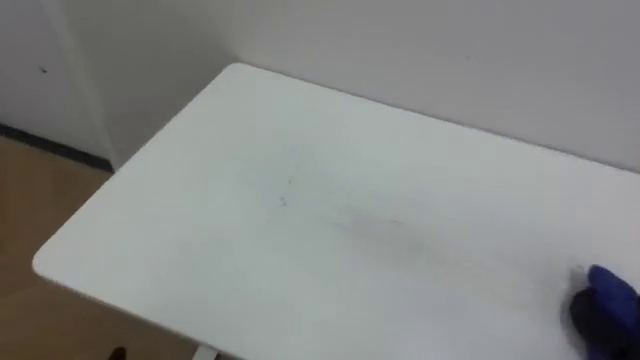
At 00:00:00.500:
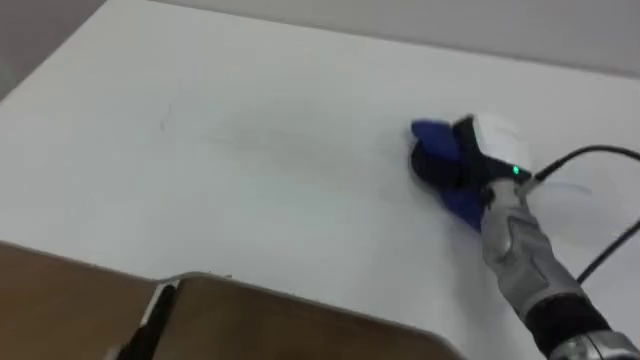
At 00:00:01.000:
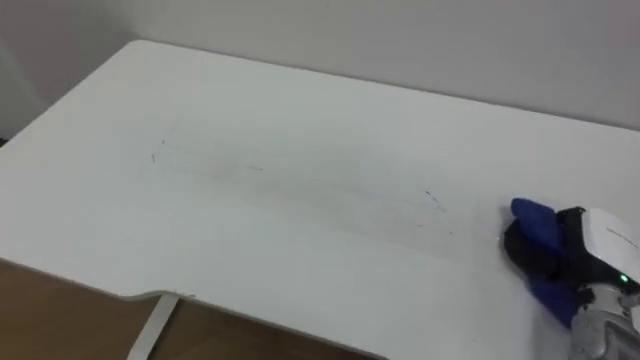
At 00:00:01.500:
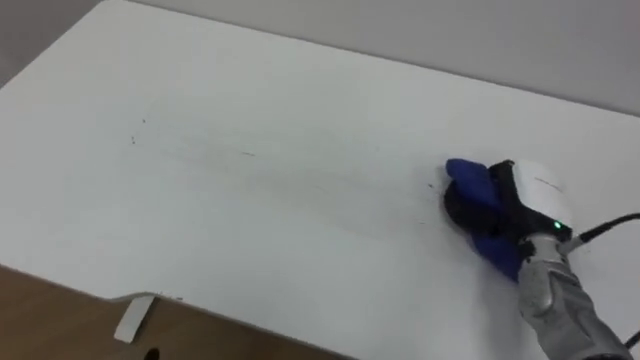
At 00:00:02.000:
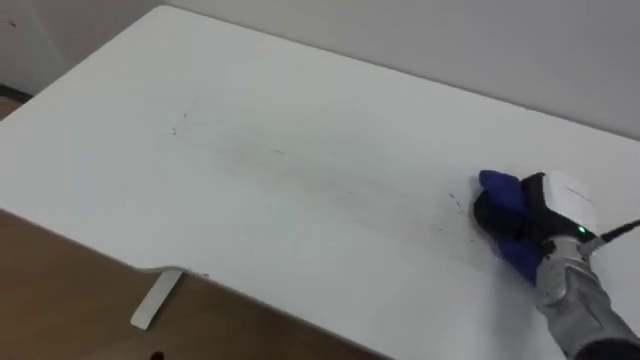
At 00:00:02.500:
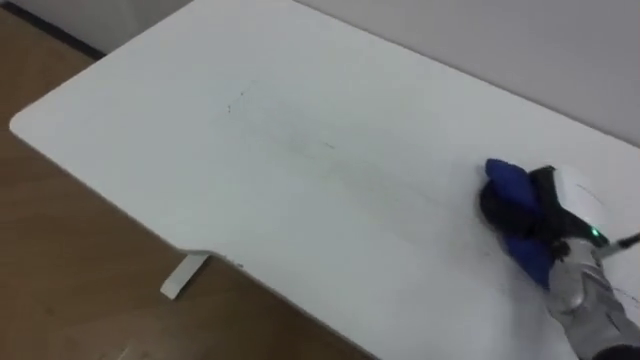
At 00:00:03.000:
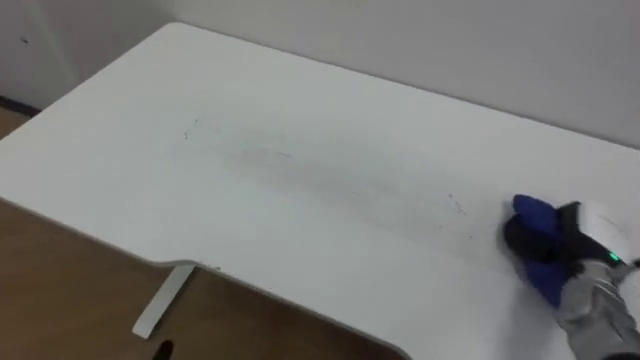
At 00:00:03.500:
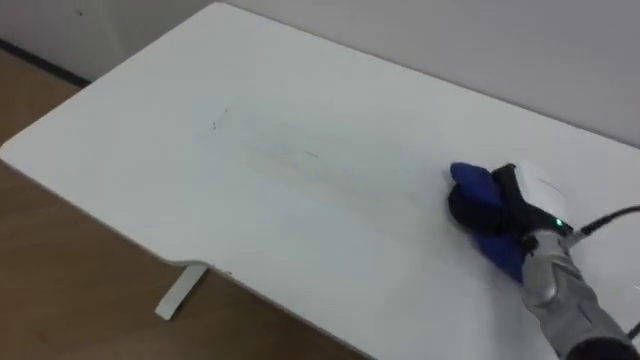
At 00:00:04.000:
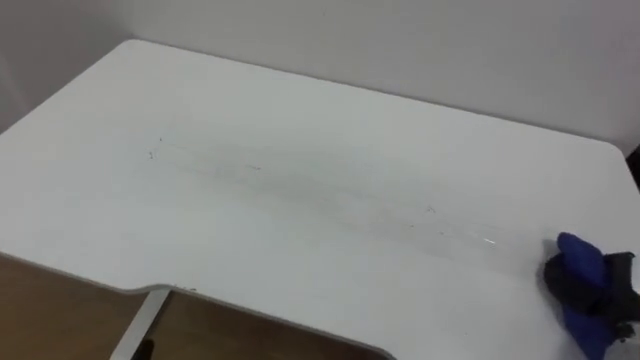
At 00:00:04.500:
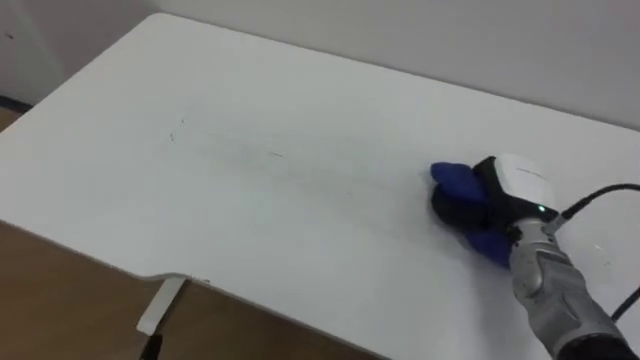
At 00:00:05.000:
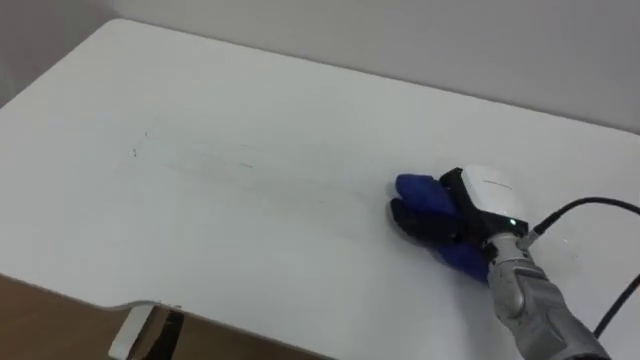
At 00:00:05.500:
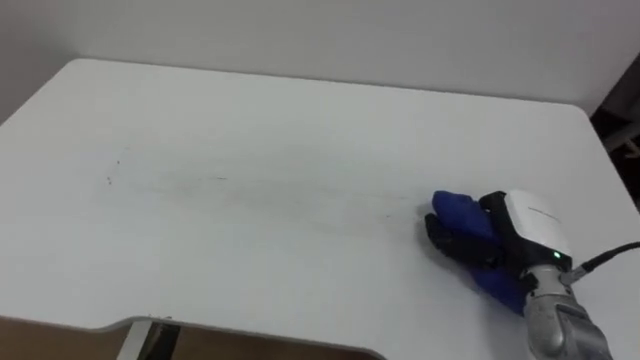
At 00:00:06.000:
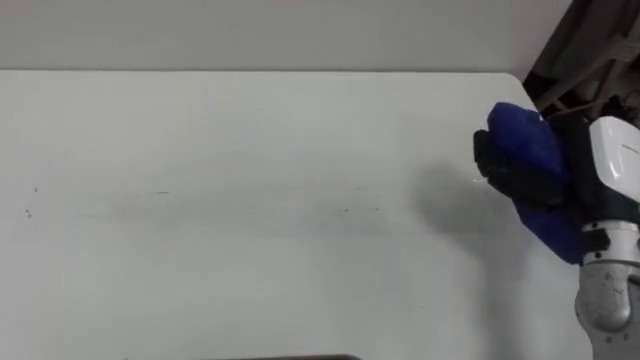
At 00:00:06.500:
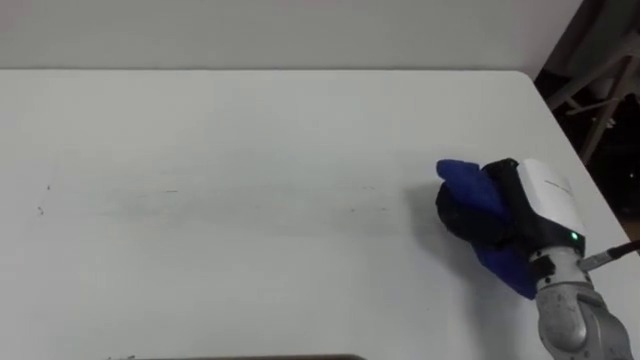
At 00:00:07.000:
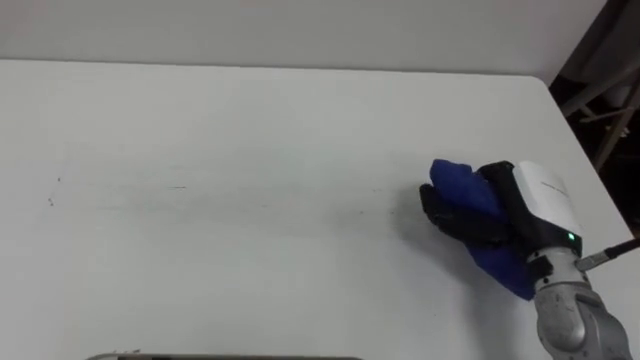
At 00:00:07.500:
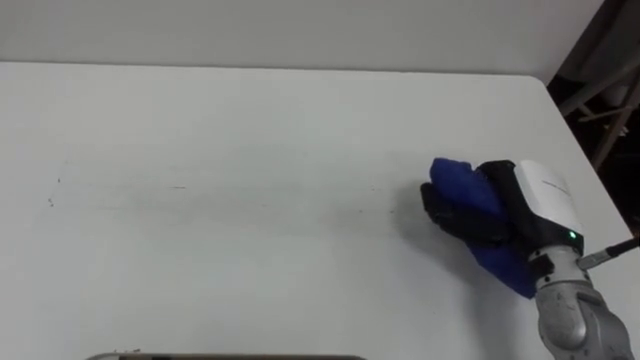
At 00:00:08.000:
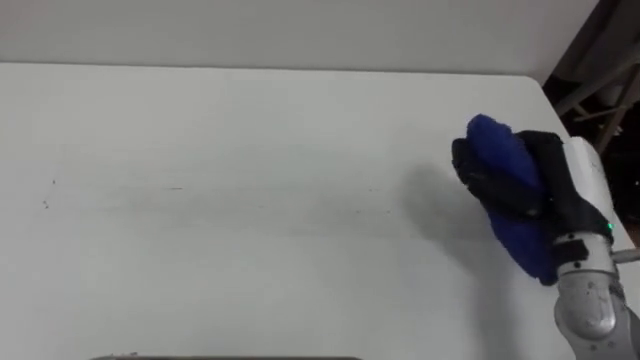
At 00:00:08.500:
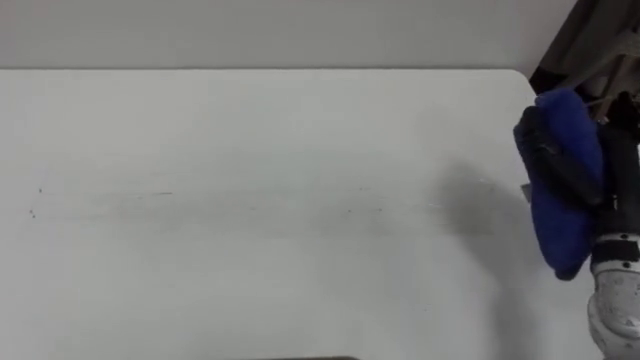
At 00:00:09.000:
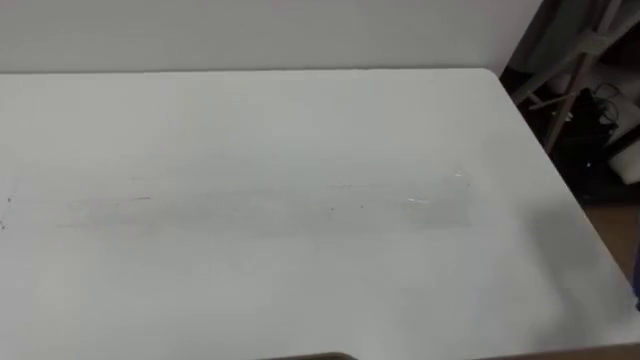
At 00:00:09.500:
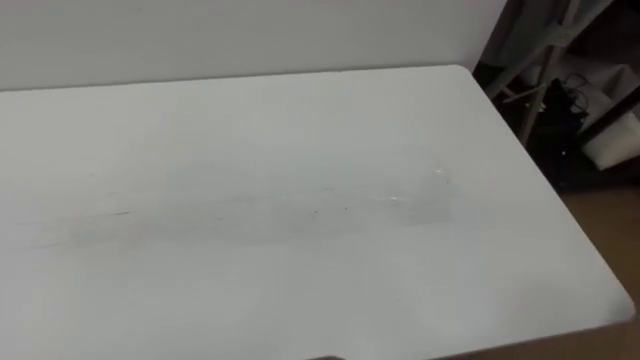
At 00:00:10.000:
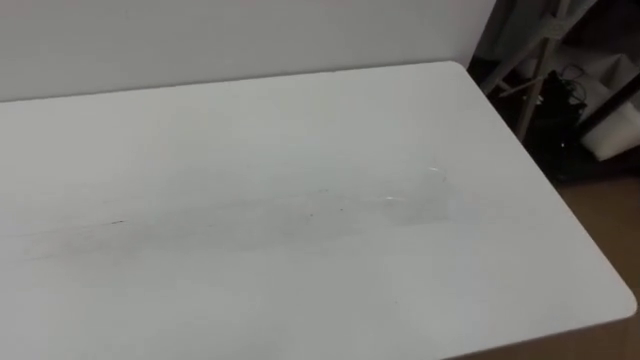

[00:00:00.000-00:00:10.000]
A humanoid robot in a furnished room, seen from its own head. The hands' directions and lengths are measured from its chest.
Task of the whole recording: Wipe the blue pen marks off the table with the rag.
00:00:02.000 to 00:00:04.000: The right hand heads backward and to the right, covering some 15 cm.
00:00:04.000 to 00:00:06.000: The right hand is displaced upward, to the left and forward by about 20 cm.

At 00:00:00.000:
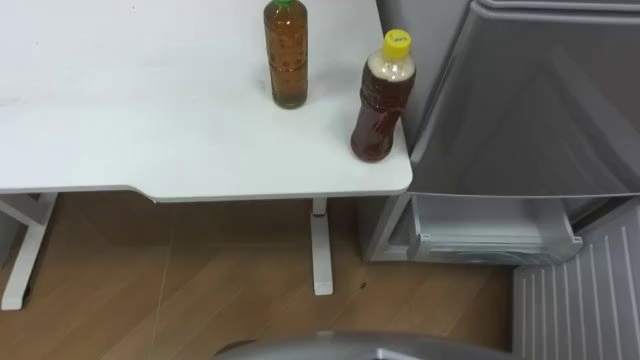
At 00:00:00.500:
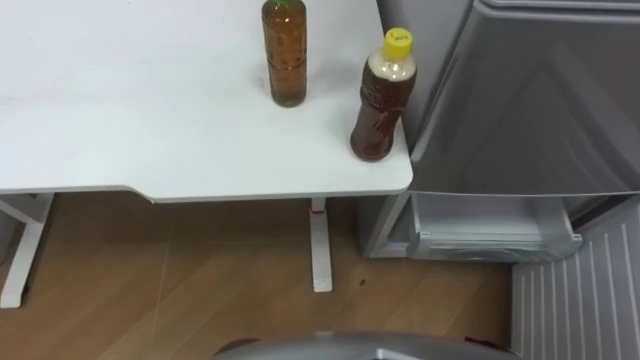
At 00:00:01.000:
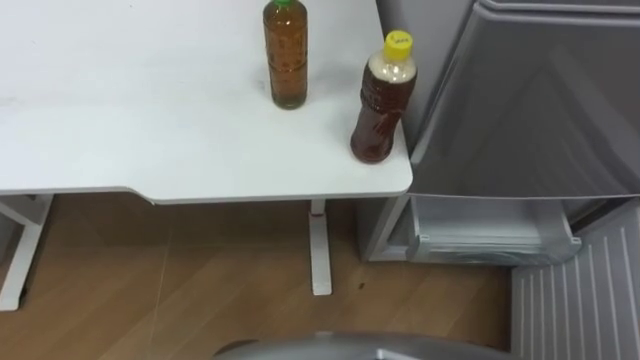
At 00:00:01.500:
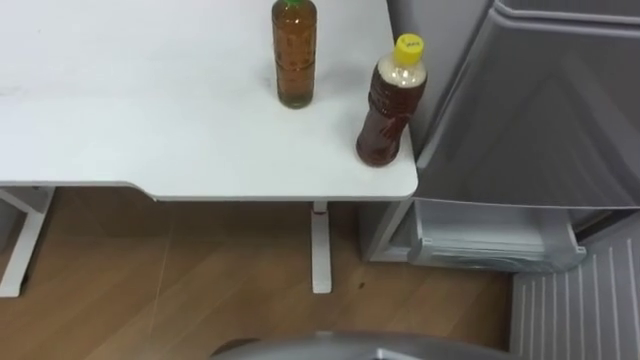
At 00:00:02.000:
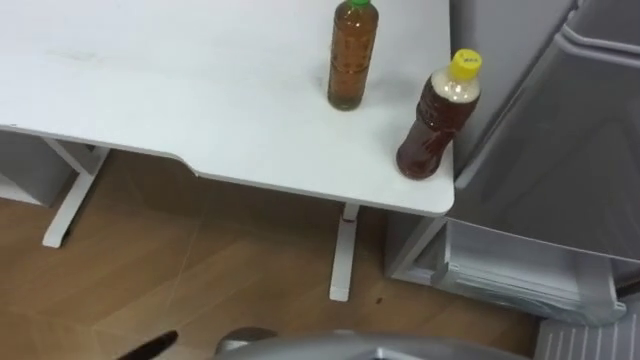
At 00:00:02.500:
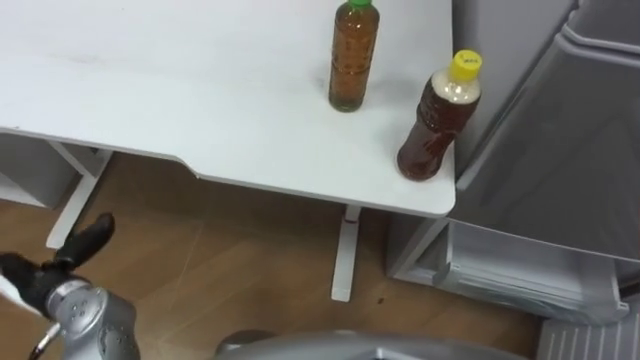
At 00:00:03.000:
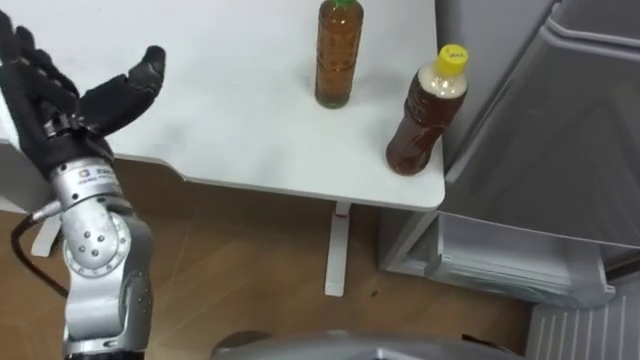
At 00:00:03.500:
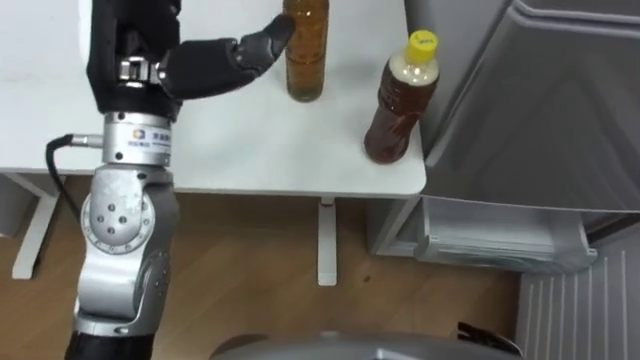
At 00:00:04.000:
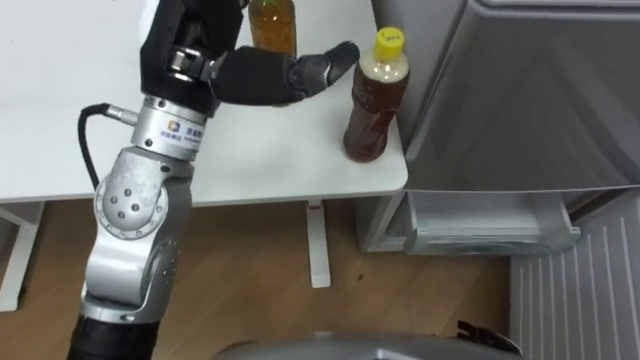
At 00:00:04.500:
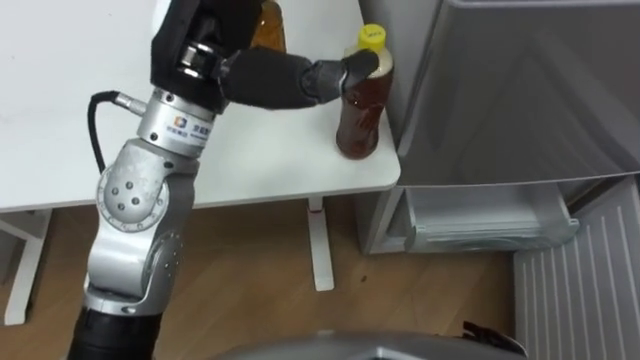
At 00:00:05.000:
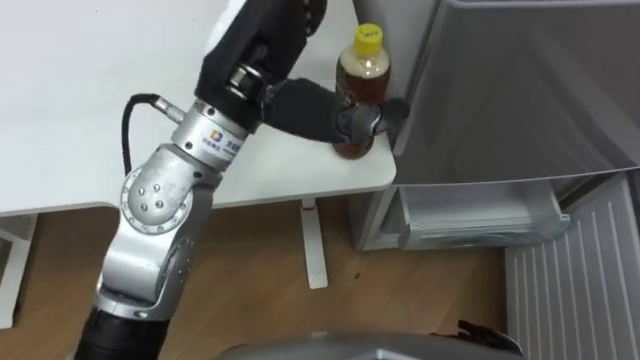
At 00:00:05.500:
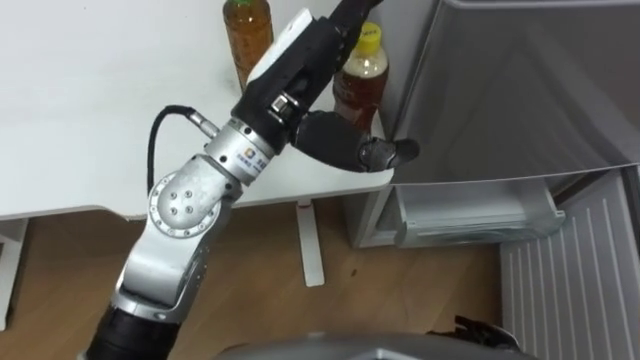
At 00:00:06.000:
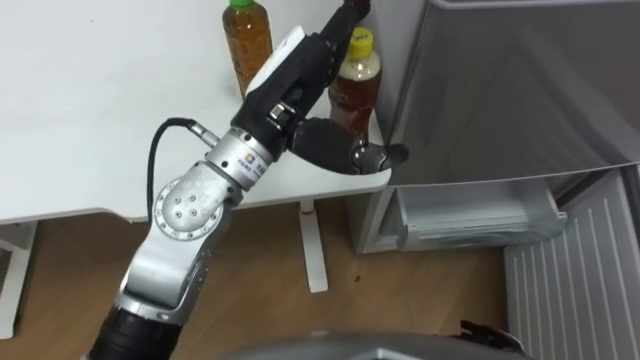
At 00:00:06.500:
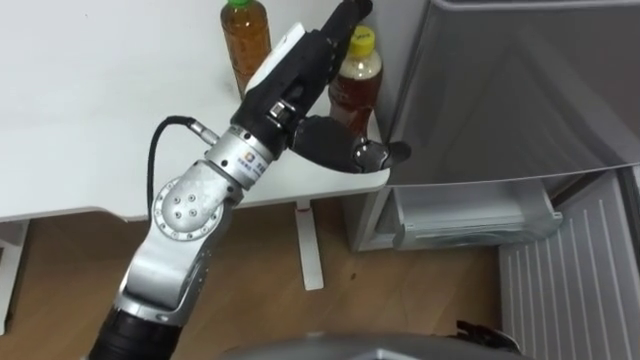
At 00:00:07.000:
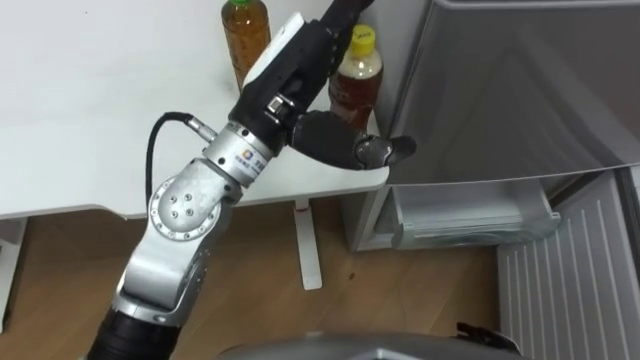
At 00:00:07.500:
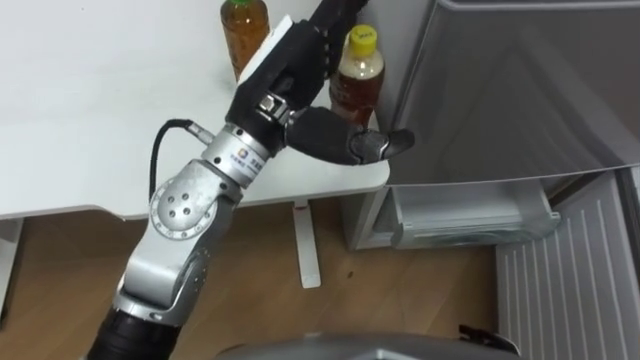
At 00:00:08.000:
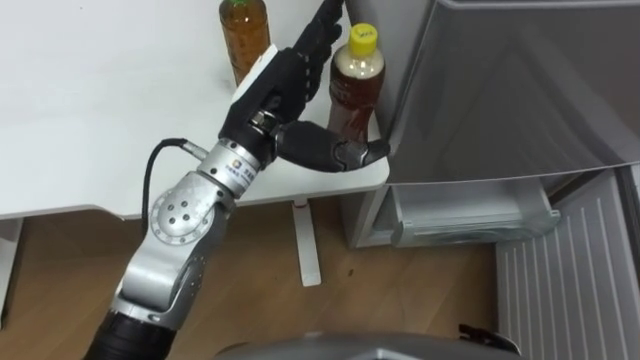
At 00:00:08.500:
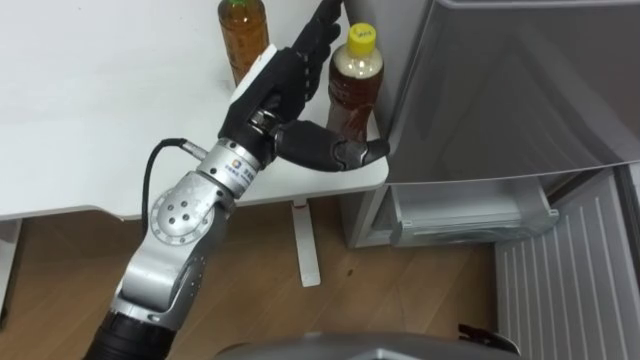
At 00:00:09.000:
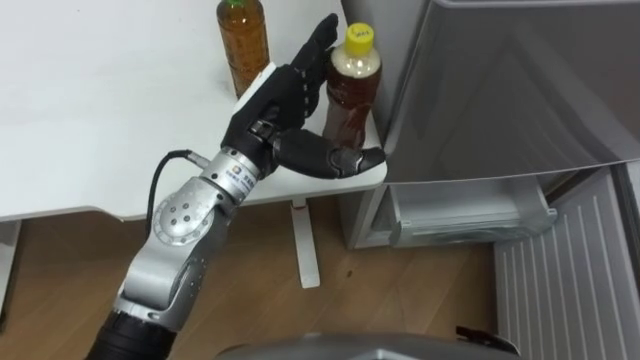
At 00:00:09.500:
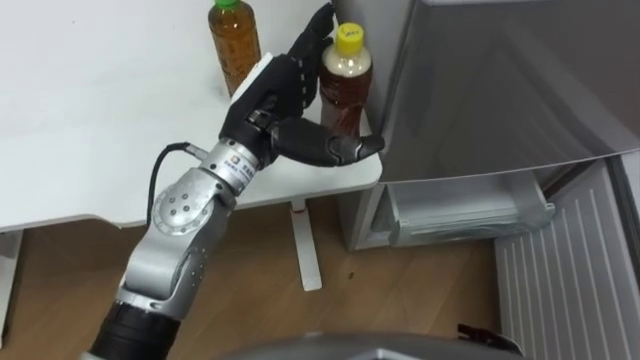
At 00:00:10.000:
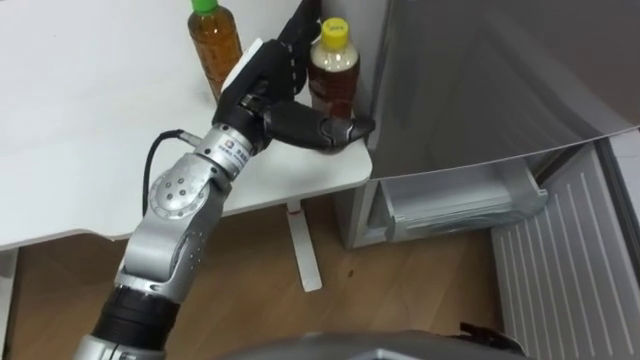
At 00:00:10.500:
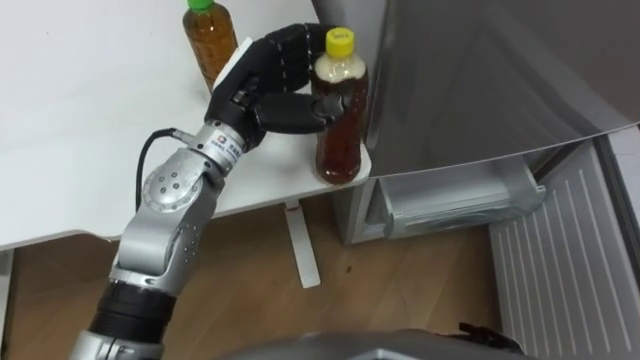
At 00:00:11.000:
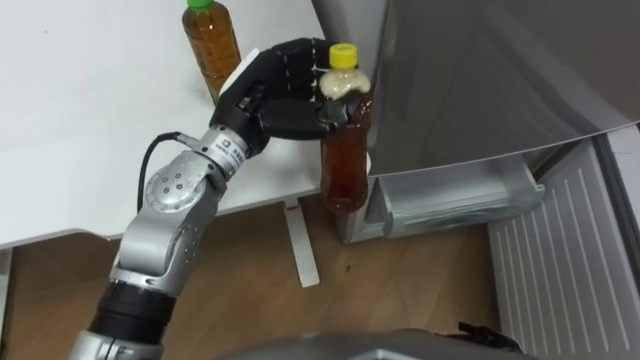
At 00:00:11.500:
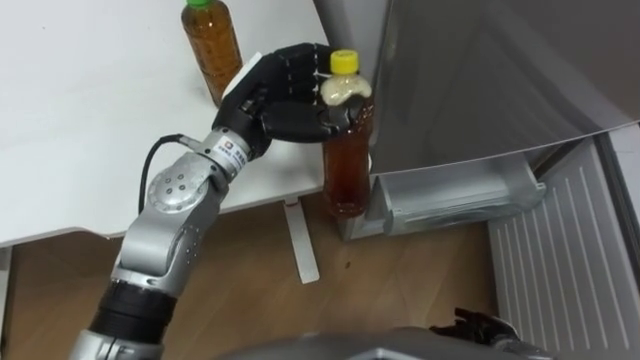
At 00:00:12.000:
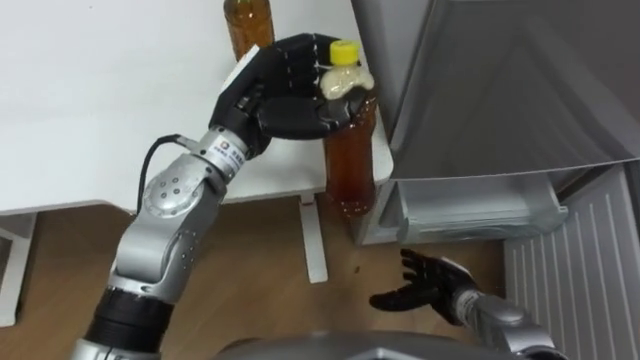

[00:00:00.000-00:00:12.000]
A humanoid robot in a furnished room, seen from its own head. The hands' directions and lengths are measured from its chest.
Task of the whole recording: Place the drink on the table on the bottom shelf of the refrigerator, then close the drawer and the refrigerator door.
00:00:04.000 to 00:00:06.000: The left hand travels to the right and downward by approximately 10 cm.
00:00:10.000 to 00:00:12.000: The right hand travels forward and to the left by some 10 cm; the left hand closes.
